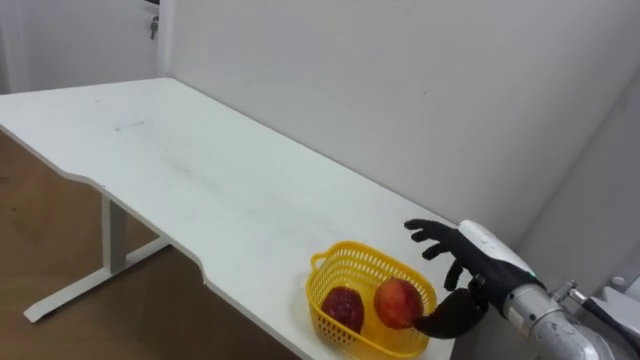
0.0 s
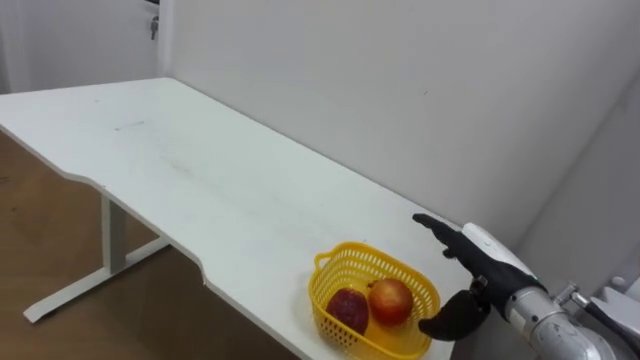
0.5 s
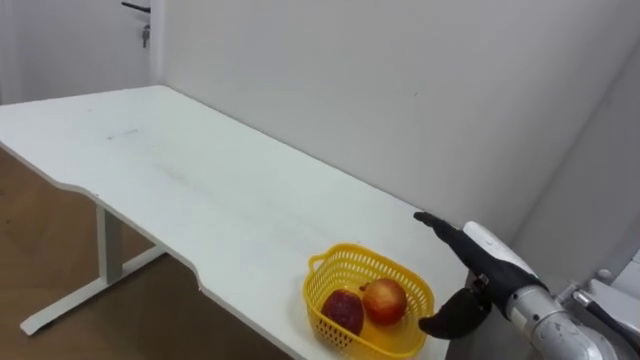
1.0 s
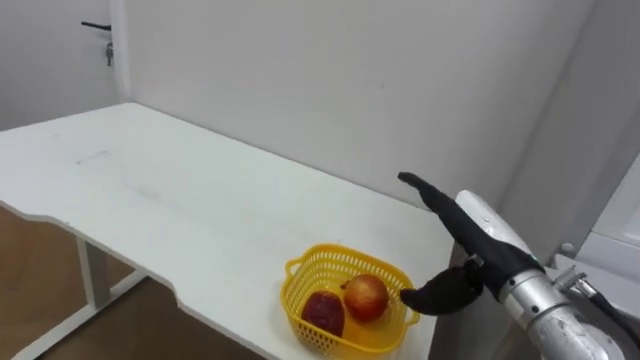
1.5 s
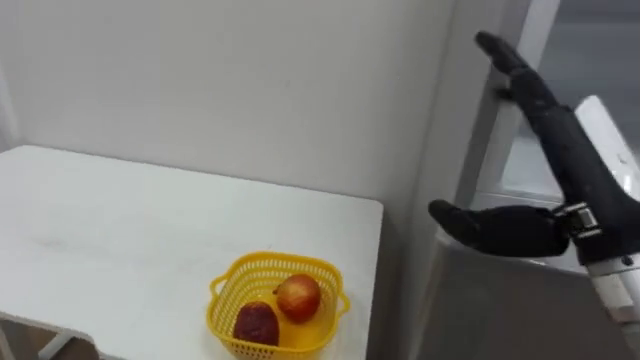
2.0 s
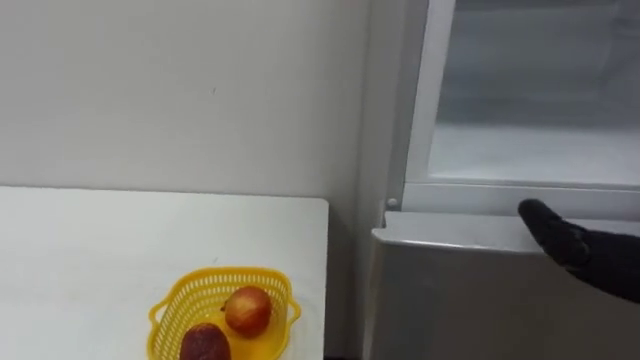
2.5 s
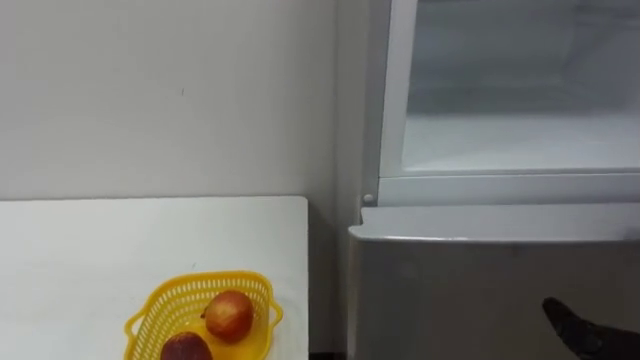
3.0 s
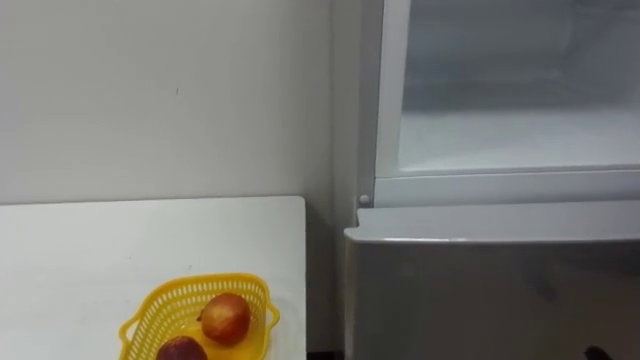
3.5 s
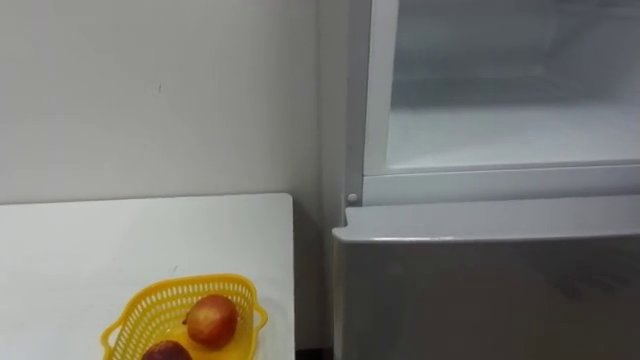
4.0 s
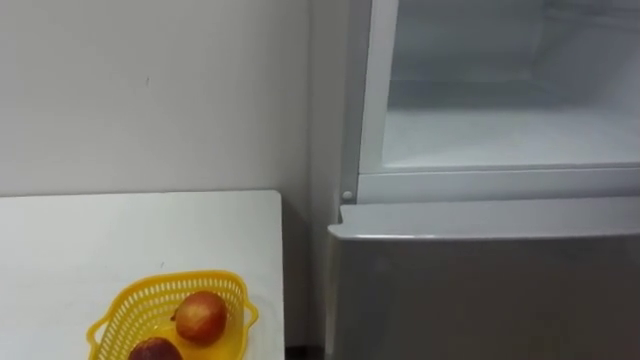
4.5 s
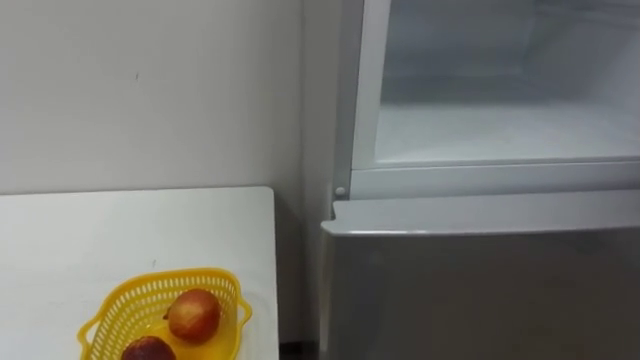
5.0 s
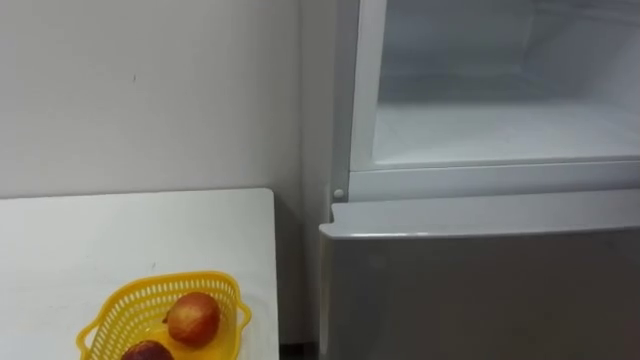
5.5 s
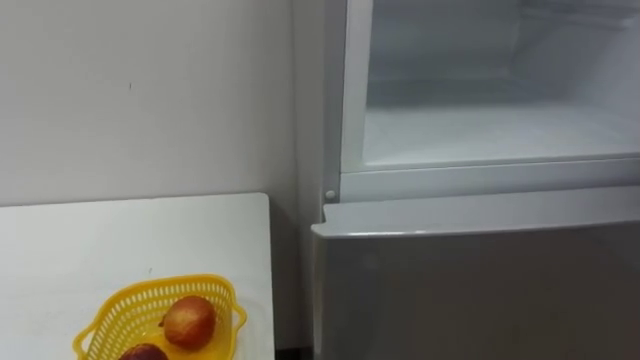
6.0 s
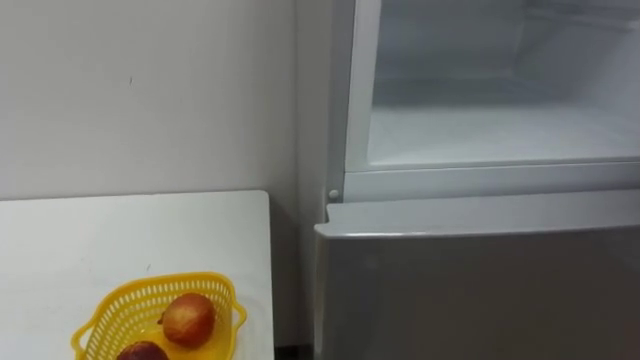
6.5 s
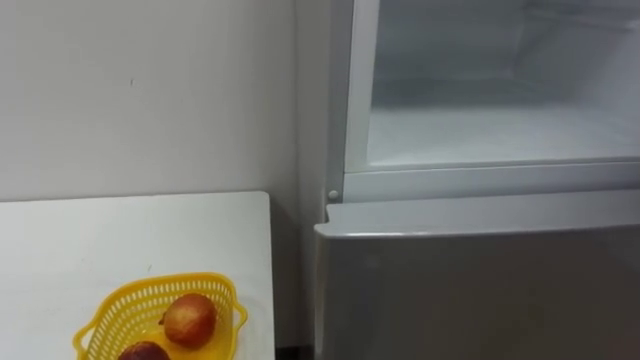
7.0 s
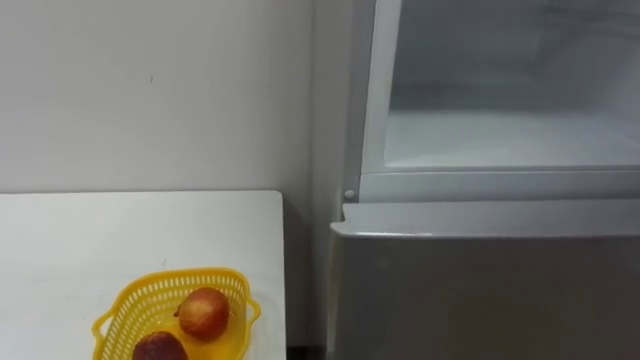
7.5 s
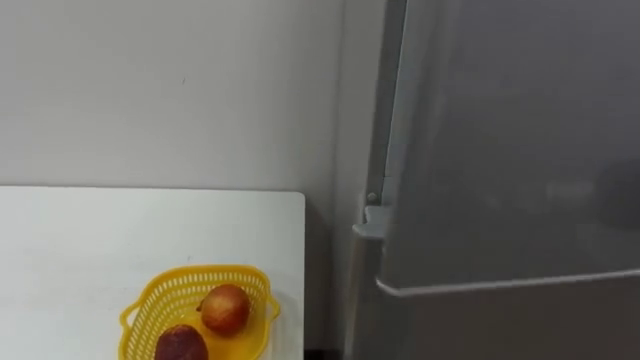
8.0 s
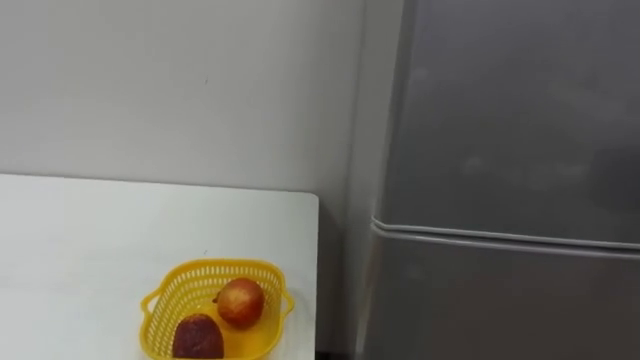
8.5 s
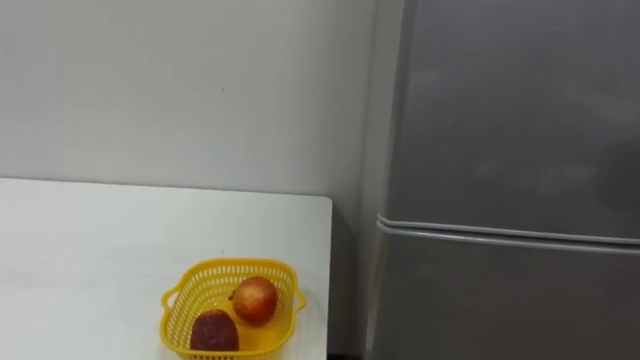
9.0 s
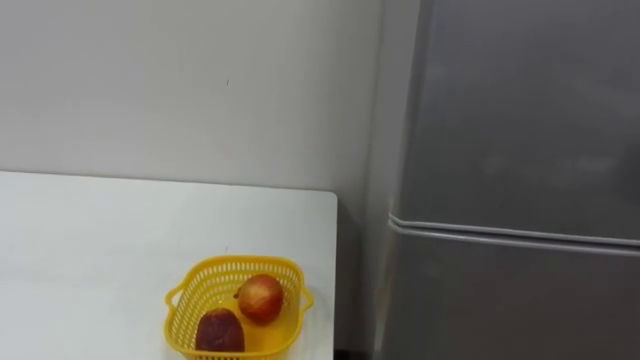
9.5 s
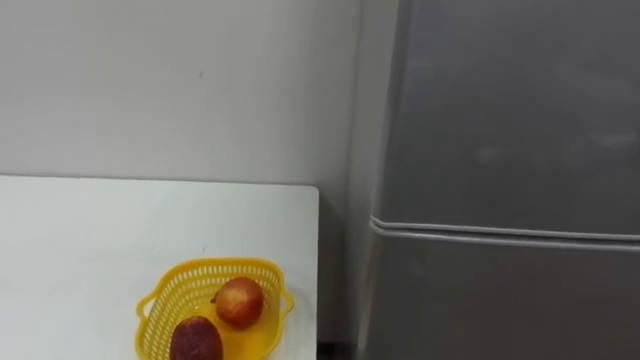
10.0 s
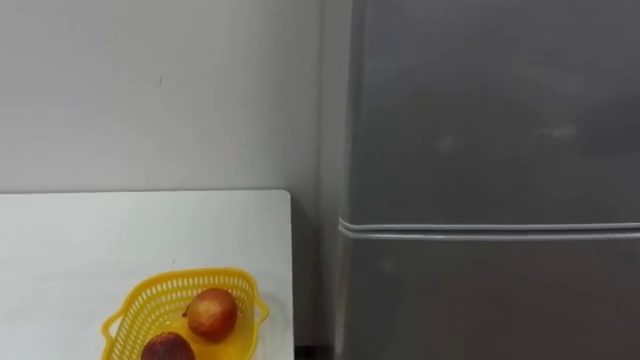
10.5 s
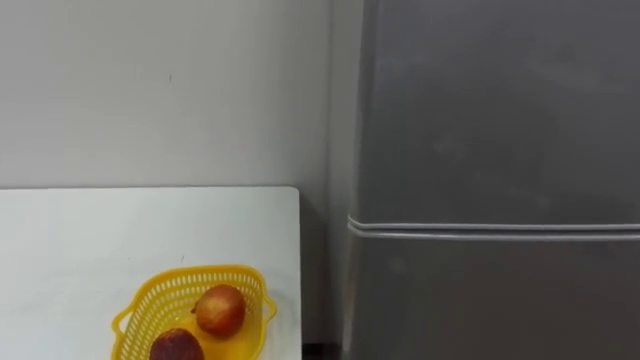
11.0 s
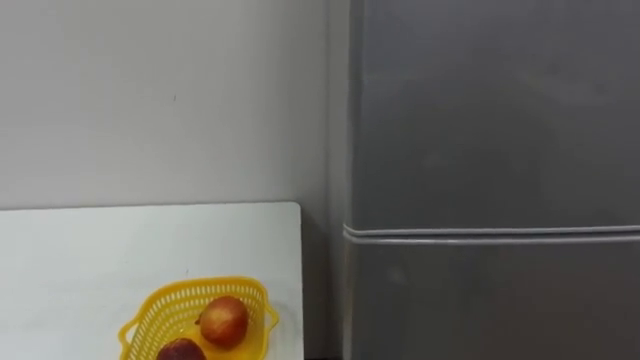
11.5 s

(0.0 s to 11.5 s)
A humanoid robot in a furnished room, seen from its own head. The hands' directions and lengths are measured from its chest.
Task of the whole recording: Open the refrigerator door, take out the apple and the pomegranate, place them in the fruit basket on the left, and close the refrigerator door.
0.0 s - 2.0 s: The right hand is displaced upward and backward by roughly 20 cm.

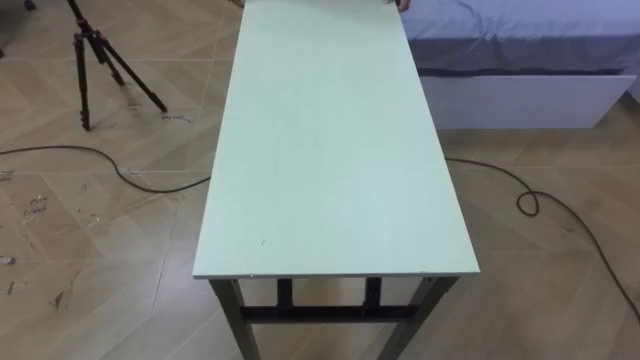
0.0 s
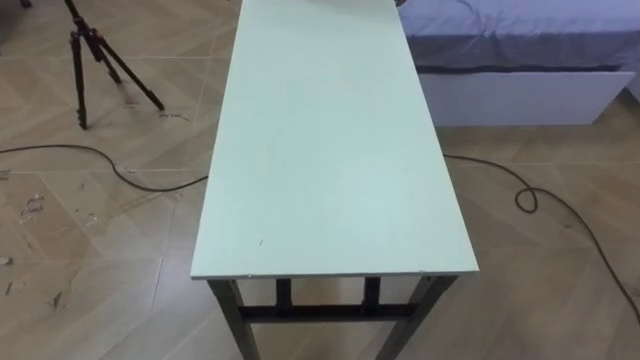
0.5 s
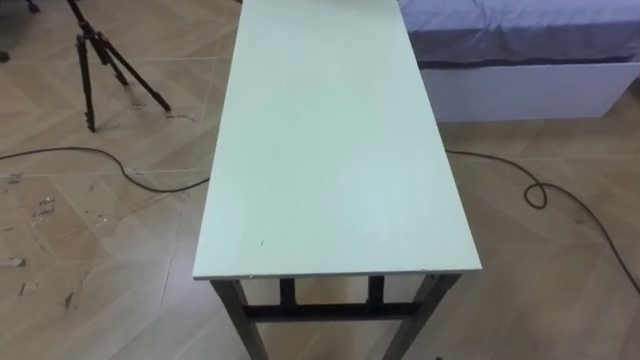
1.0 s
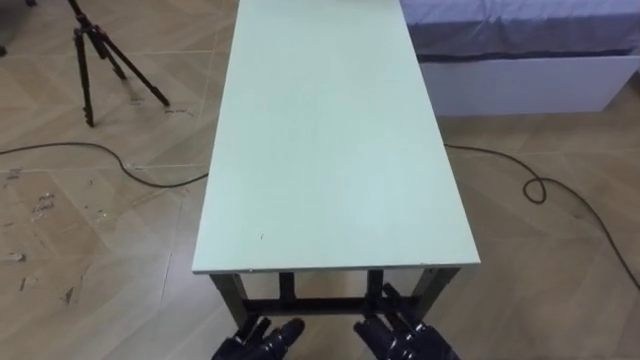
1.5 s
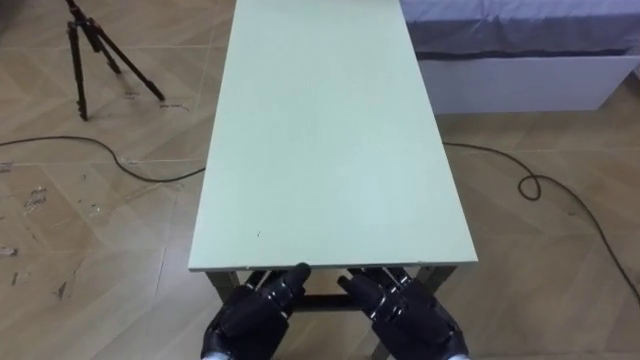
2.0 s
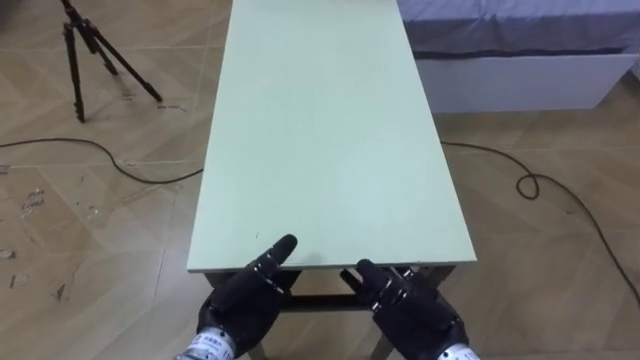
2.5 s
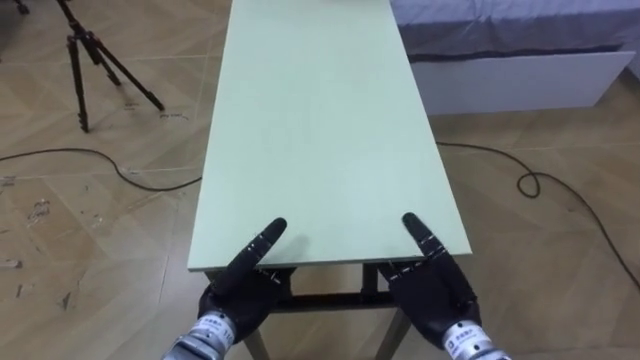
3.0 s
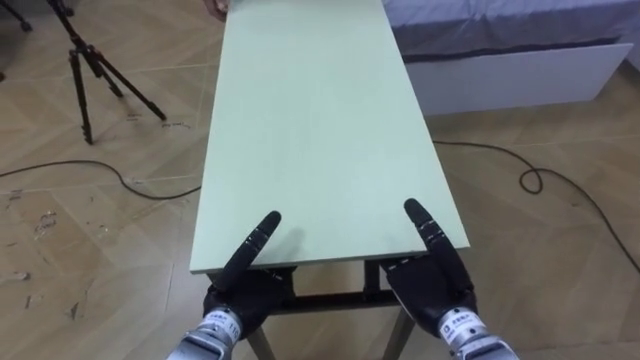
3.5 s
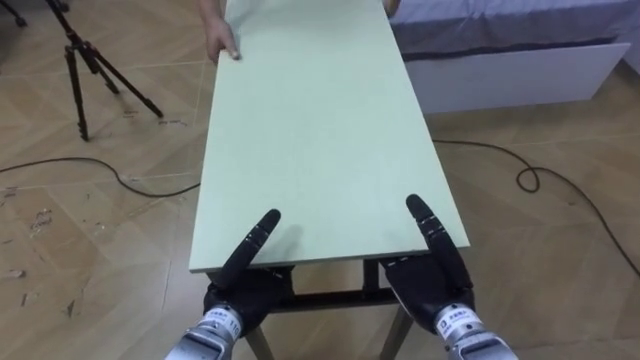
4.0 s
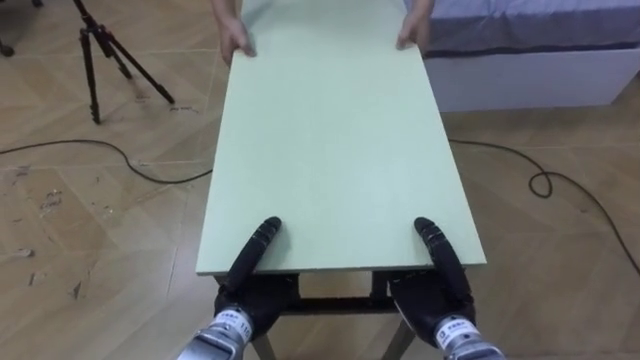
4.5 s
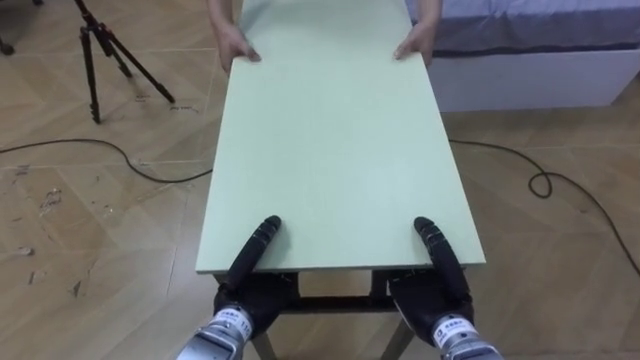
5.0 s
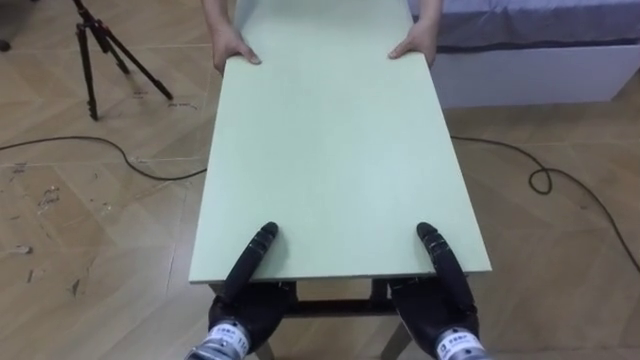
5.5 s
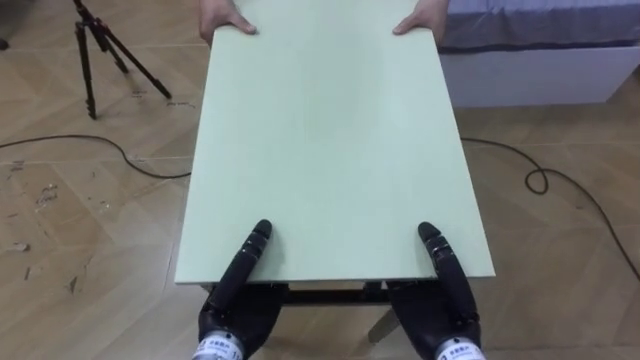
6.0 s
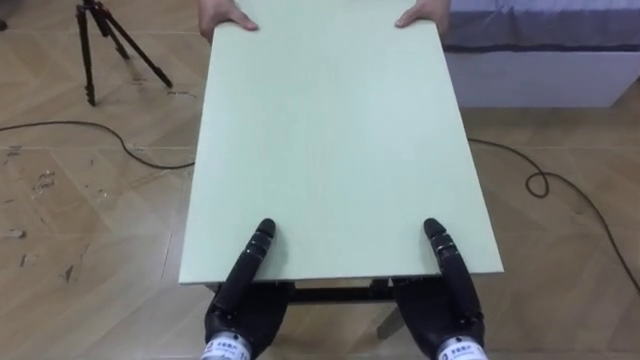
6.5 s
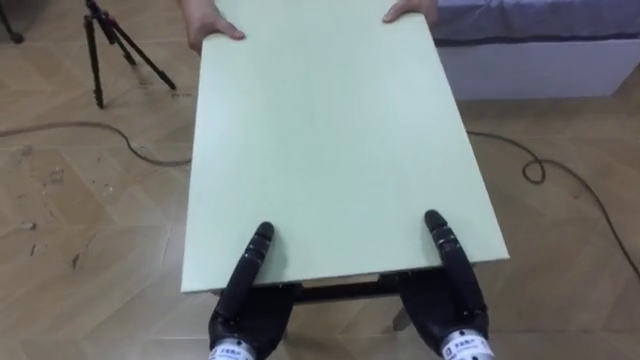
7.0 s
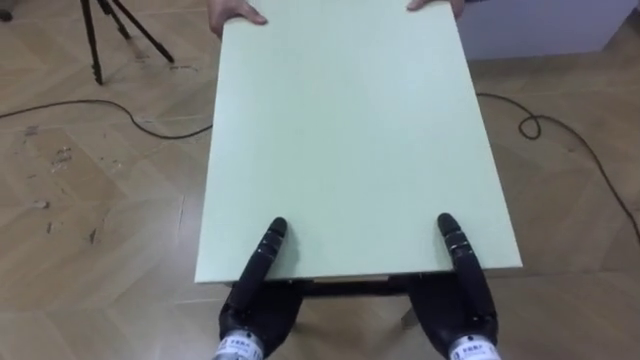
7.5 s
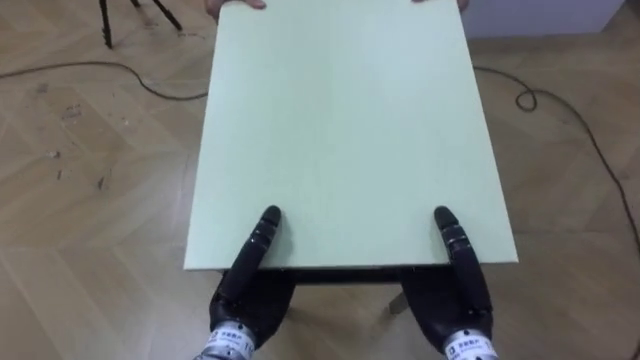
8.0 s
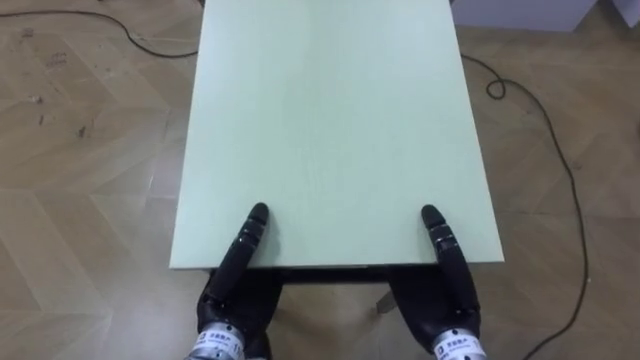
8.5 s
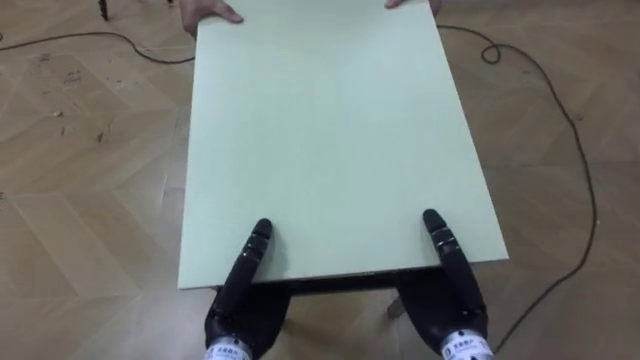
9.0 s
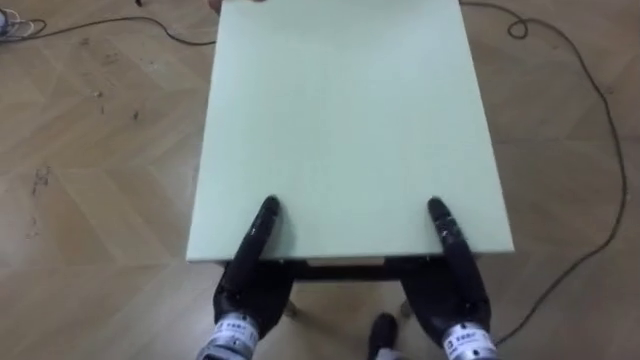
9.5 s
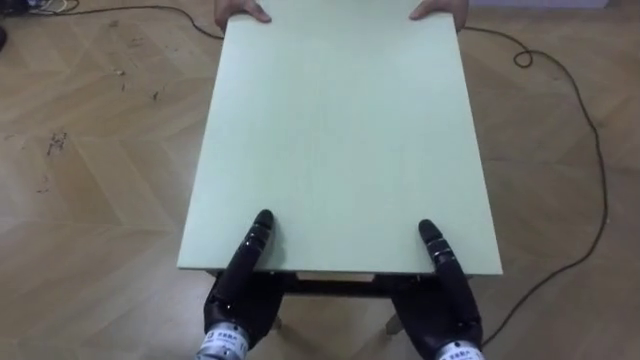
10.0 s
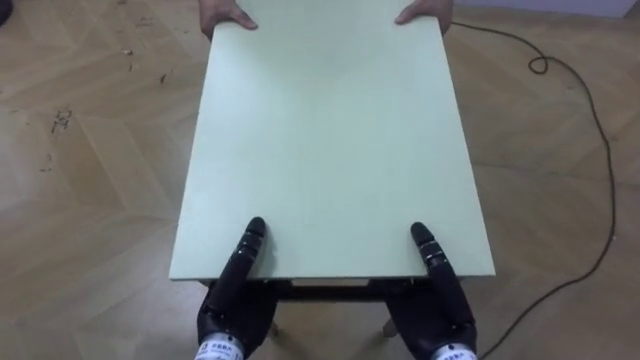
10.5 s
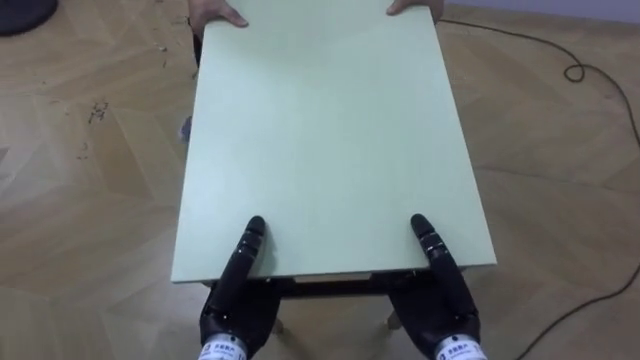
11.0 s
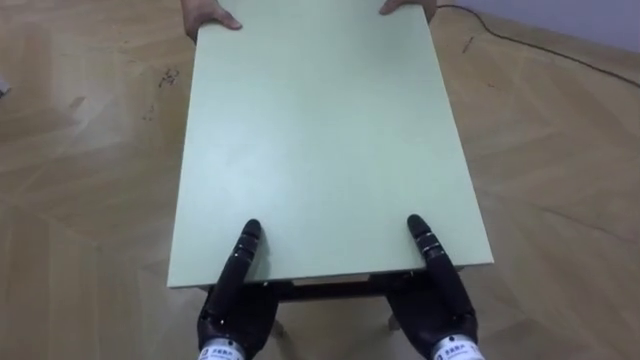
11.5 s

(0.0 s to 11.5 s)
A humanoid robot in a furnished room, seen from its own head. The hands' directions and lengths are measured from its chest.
Task of the whole recording: Move the table to the back left with someone.
2.0 s - 4.0 s: The left hand shifts by some 5 cm. The right hand changes place by approximately 5 cm.
4.0 s - 6.0 s: The left hand closes its fingers. Meanwhile the right hand closes its fingers.
9.5 s - 11.5 s: The robot's body swings about 20 degrees to its left.
